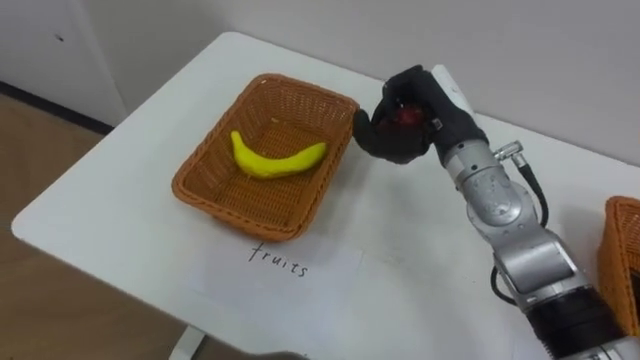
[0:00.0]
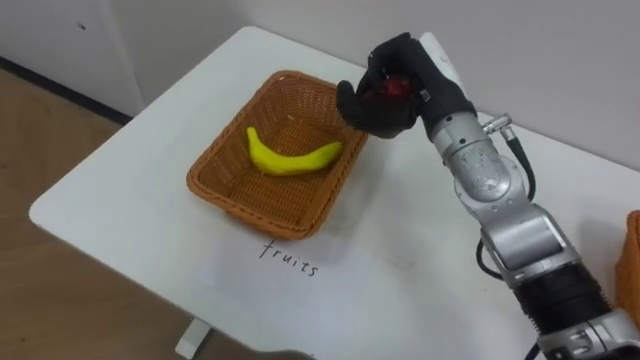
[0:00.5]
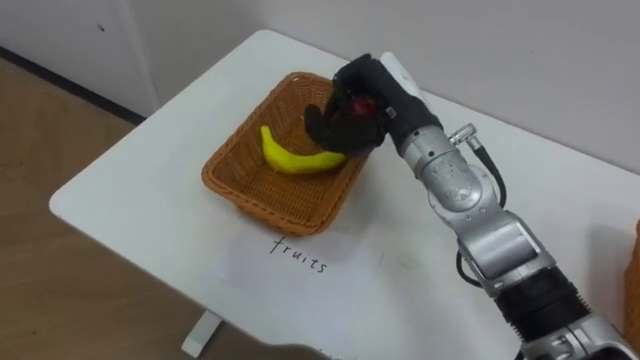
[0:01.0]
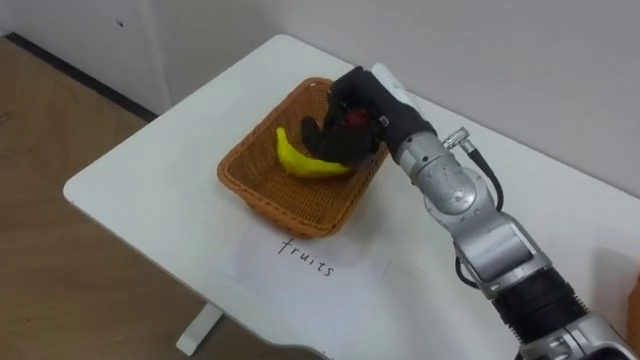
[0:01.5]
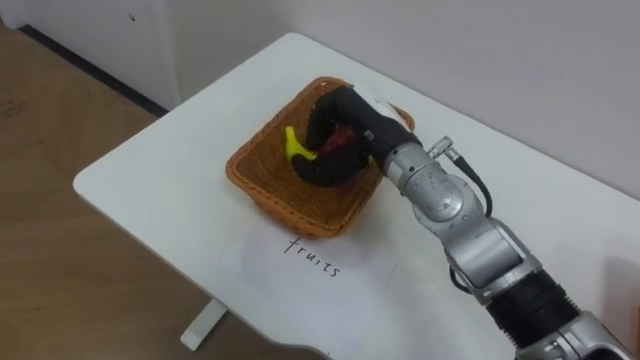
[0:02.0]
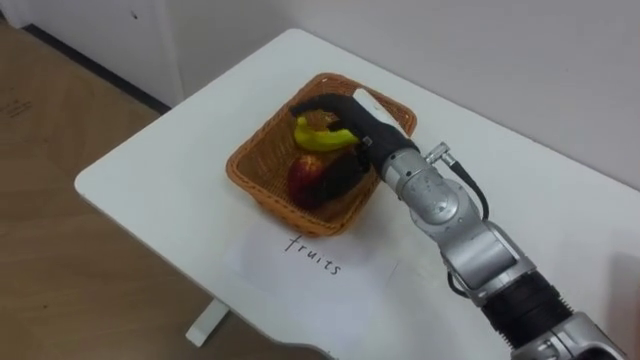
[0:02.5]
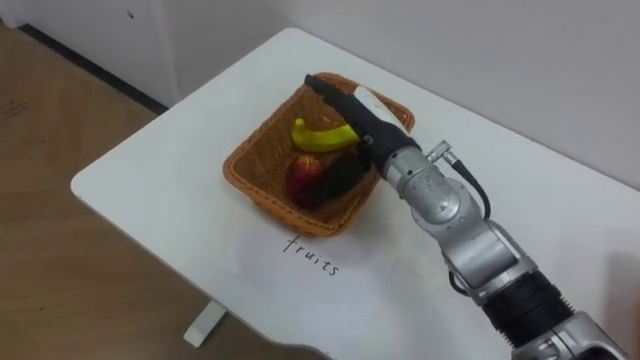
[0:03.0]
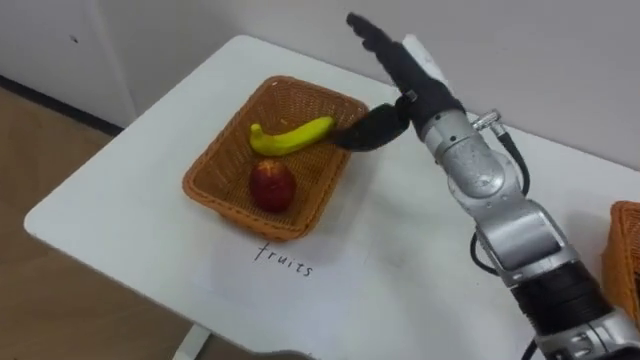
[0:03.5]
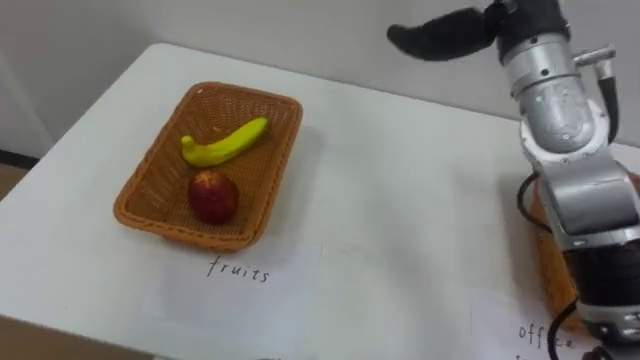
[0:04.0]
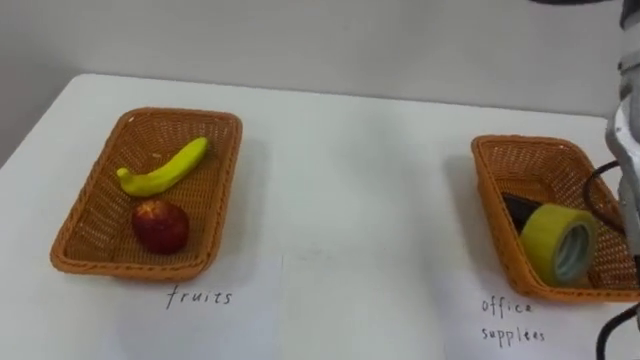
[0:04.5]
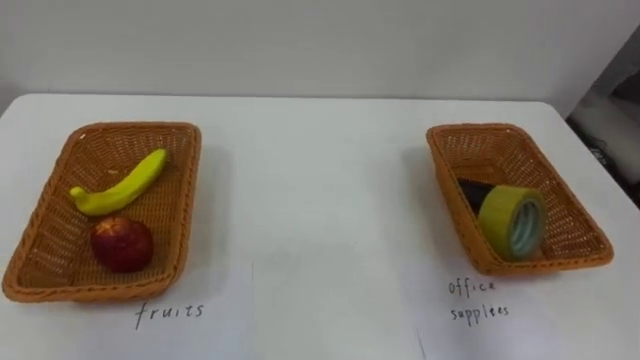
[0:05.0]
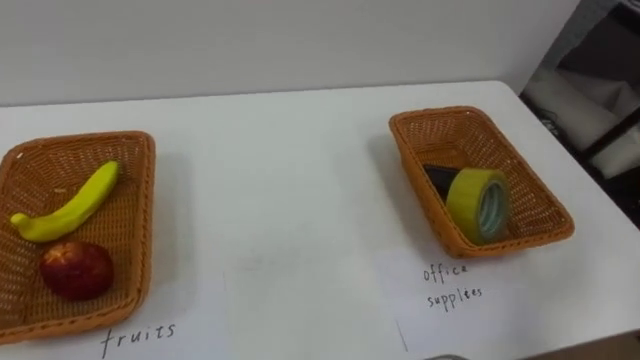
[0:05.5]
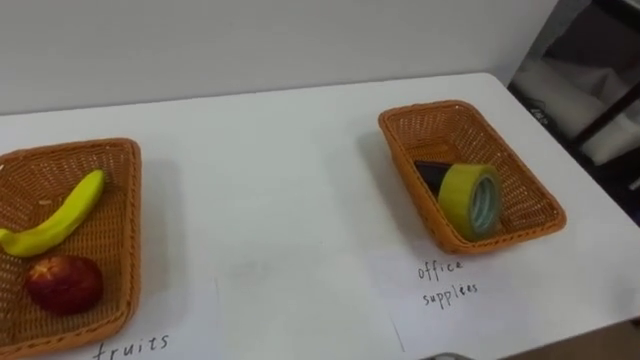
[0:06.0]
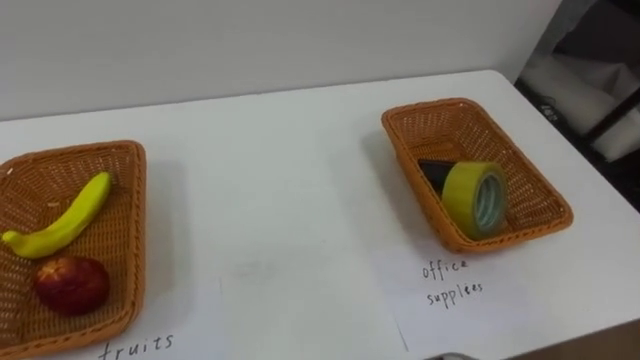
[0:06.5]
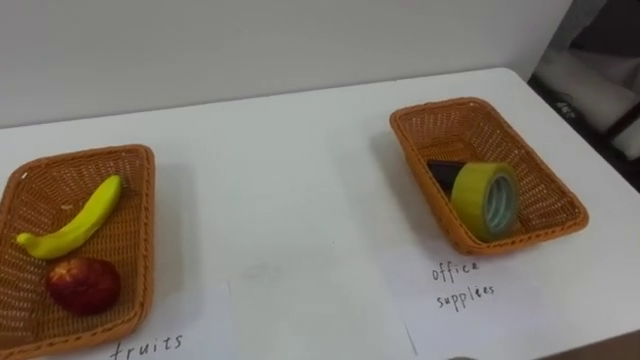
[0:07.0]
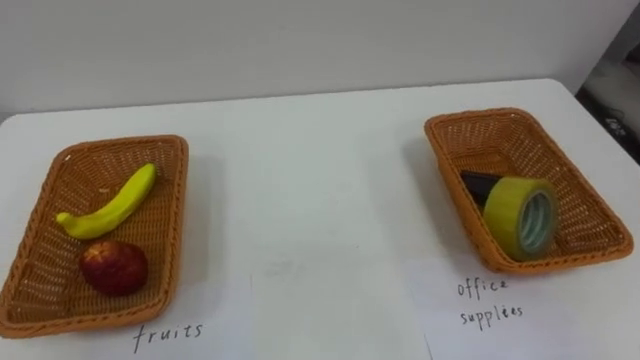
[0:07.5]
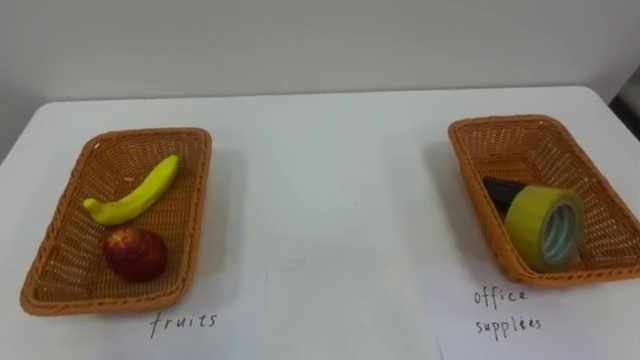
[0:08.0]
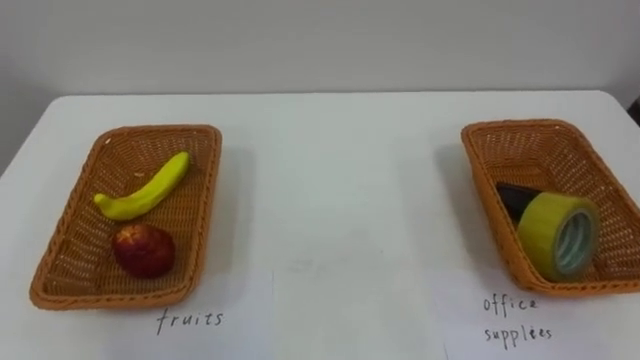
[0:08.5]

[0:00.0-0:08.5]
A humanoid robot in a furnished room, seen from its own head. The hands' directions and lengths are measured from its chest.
Task of the whole recording: Separate the items on the table and place them into the two baskets.
0:00.0 to 0:02.0: The right hand is displaced to the left by some 10 cm.
0:02.0 to 0:04.0: The right hand shifts approximately 15 cm upward and to the right, and opens.

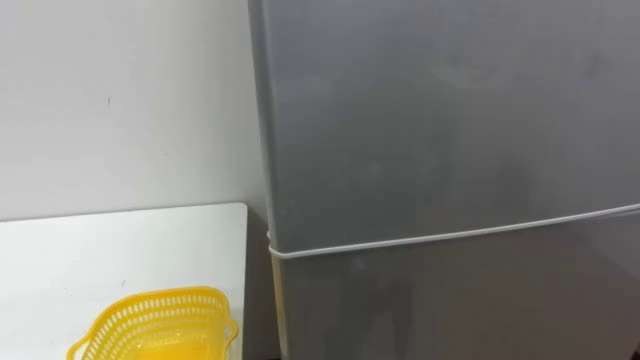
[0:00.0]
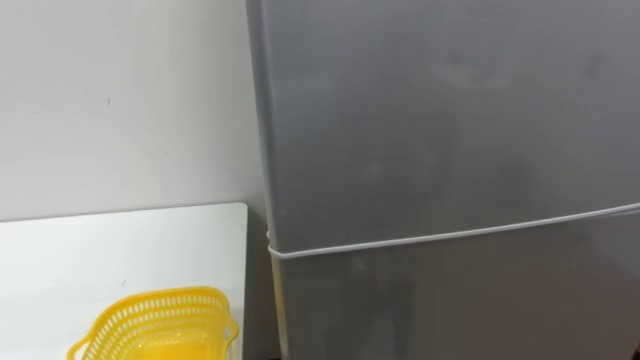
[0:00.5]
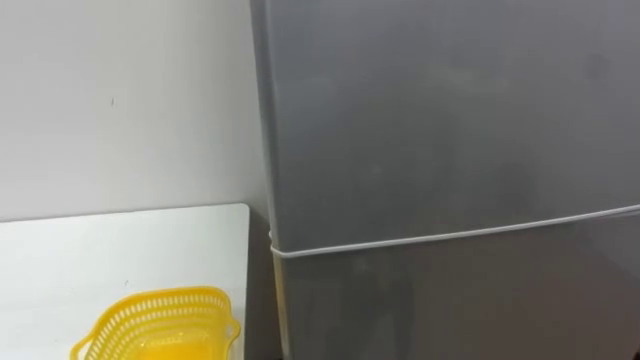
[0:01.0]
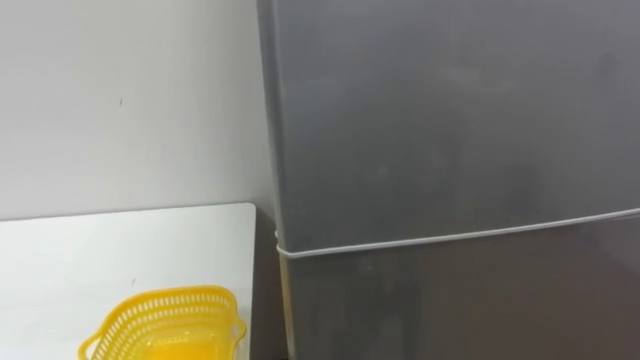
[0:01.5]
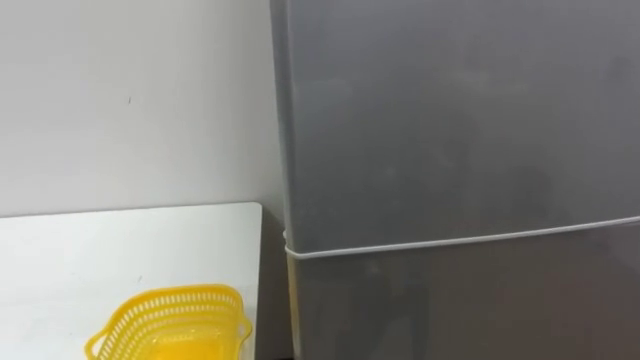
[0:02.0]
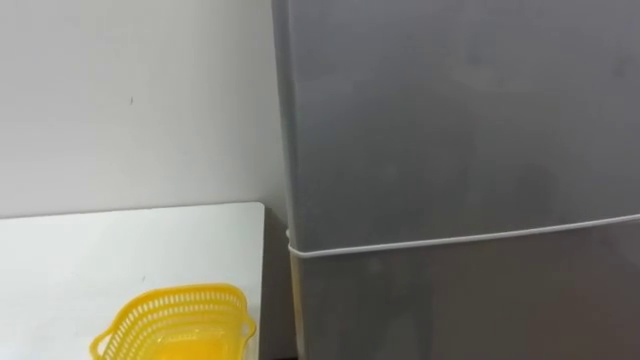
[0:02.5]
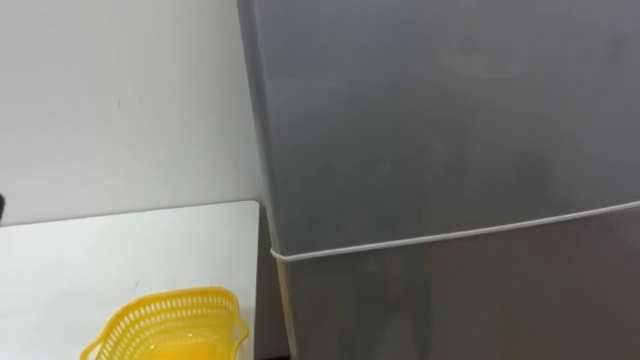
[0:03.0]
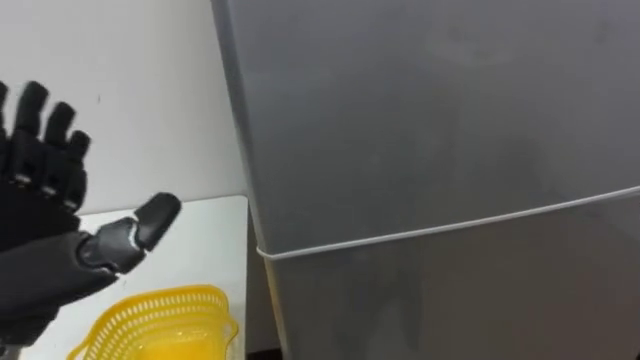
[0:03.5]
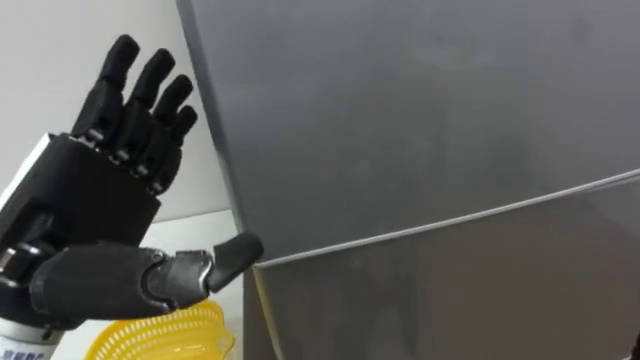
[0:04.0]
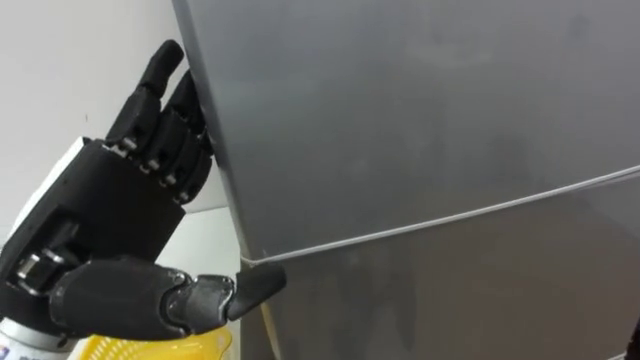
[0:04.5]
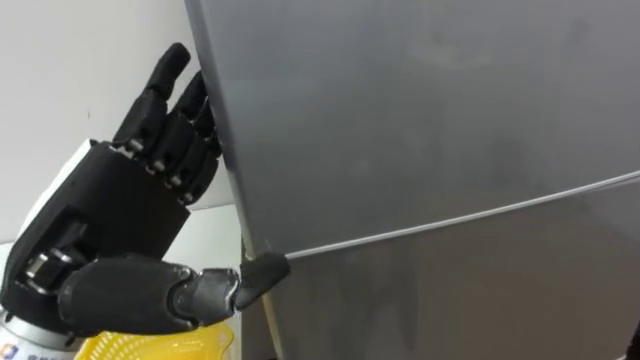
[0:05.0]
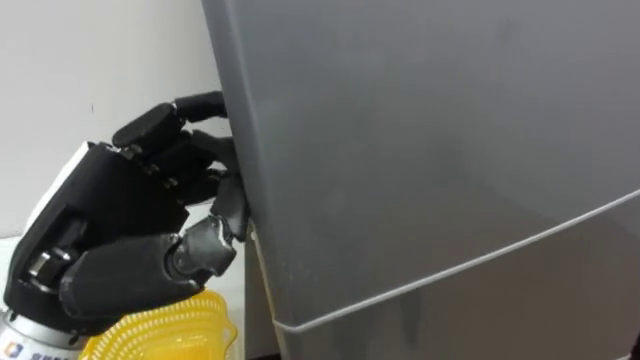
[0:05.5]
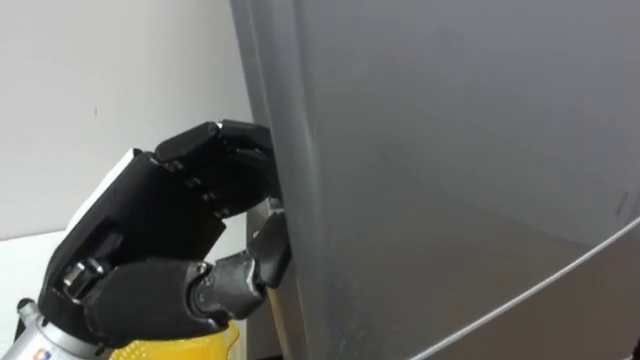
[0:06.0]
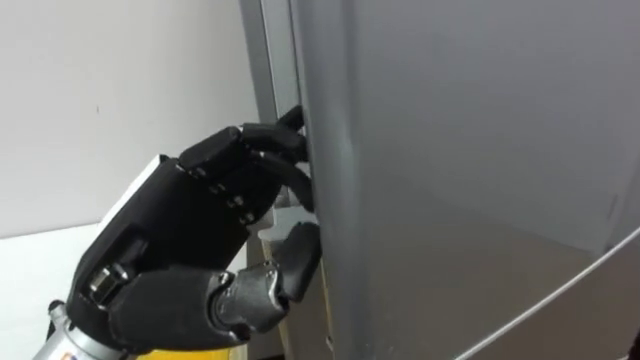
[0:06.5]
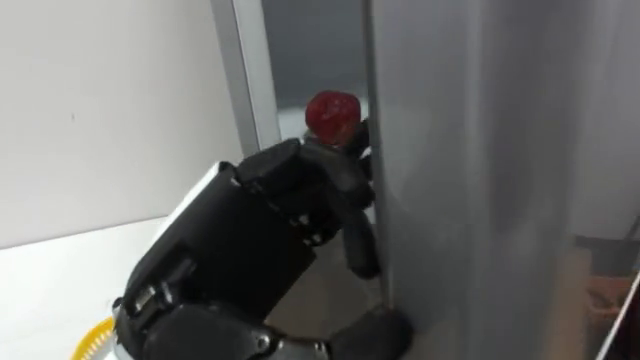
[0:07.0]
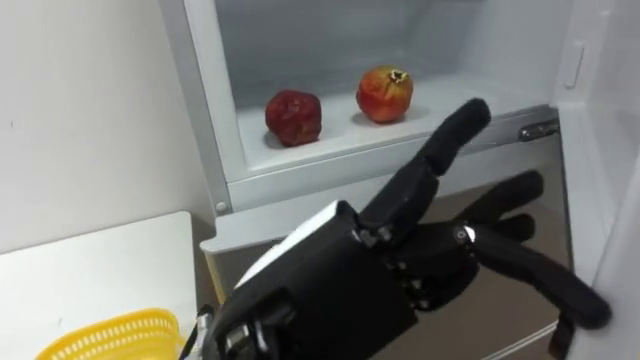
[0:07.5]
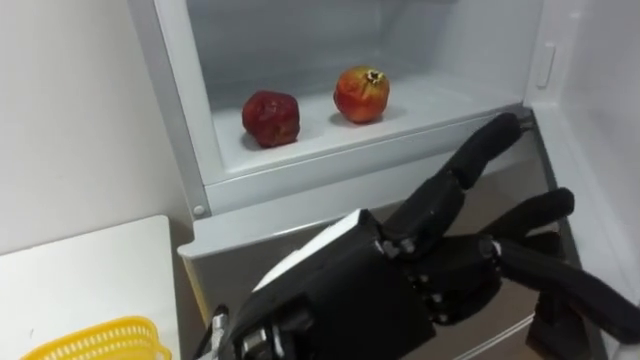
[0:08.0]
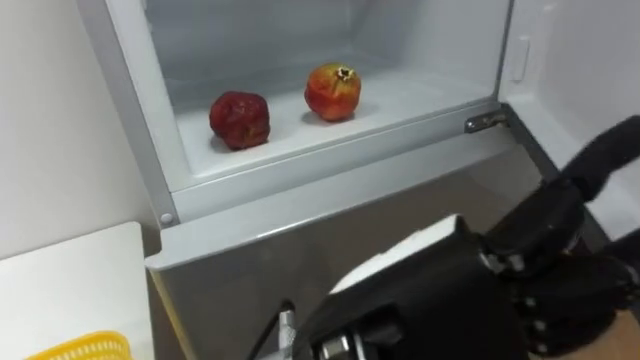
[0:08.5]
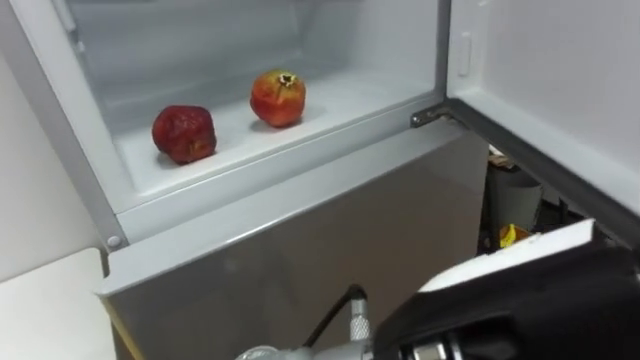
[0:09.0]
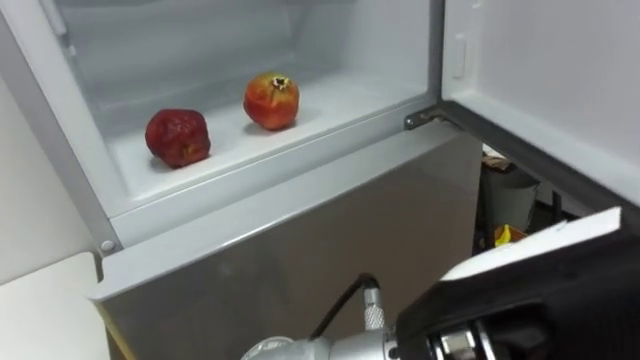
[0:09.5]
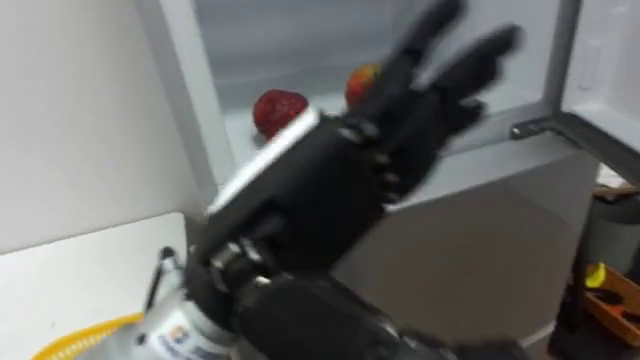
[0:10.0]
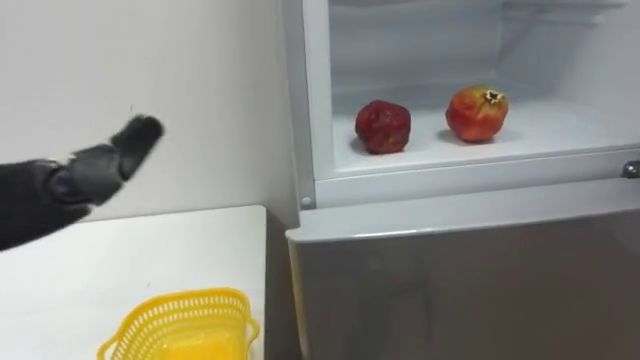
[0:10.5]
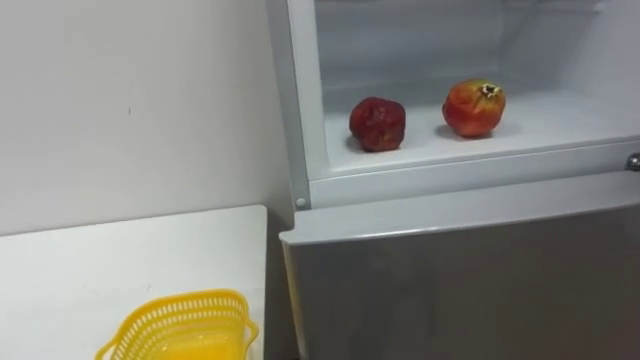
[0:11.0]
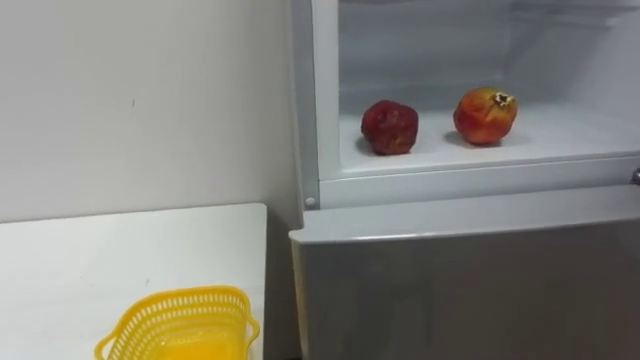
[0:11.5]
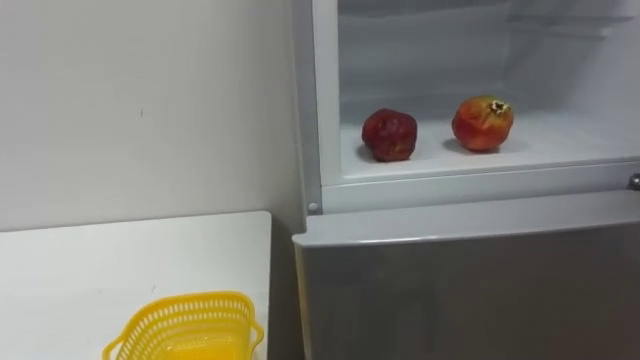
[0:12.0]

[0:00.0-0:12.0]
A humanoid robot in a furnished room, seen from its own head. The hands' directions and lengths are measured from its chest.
Task of the whole recording: Open the refrigerator door, take out the apple and the pomegranate, place them in the fruit basket on the left, and close the refrigerator door.
0:04.0 to 0:06.0: The left hand closes.
0:06.0 to 0:08.0: The left hand heads to the right and backward, covering about 15 cm, and opens up.
0:08.0 to 0:10.0: The left hand goes to the right and returns, some 10 cm each way.
